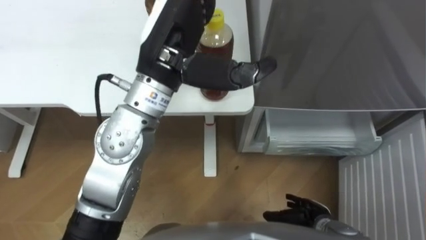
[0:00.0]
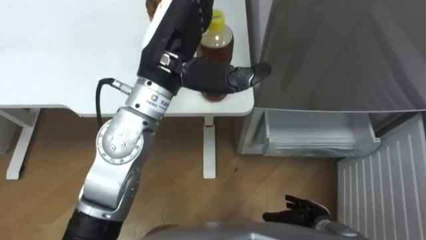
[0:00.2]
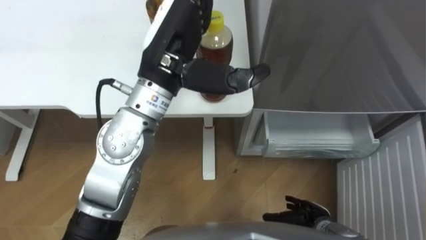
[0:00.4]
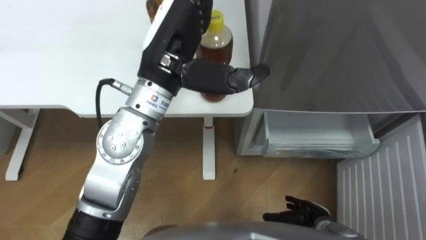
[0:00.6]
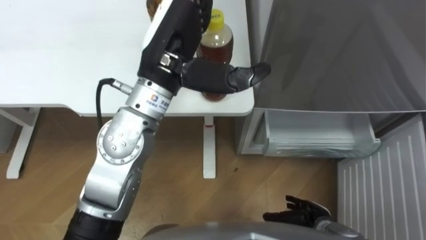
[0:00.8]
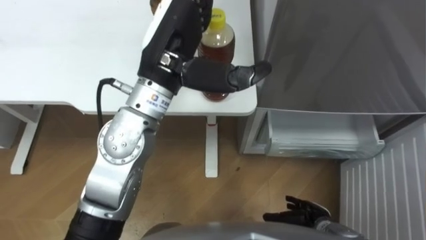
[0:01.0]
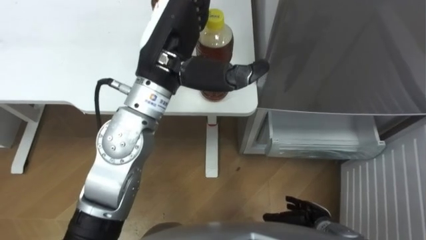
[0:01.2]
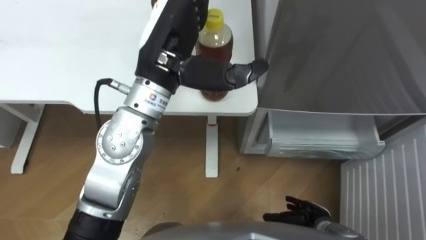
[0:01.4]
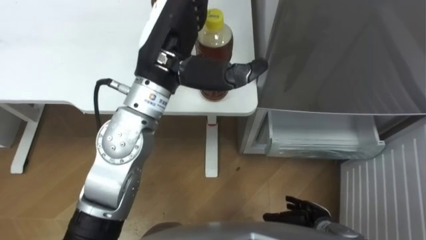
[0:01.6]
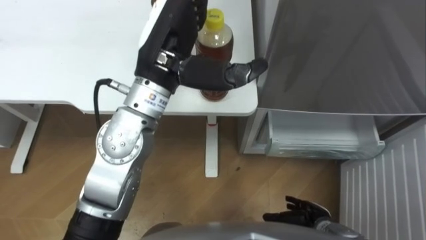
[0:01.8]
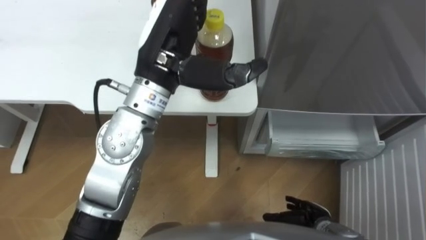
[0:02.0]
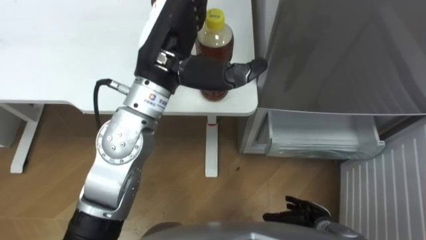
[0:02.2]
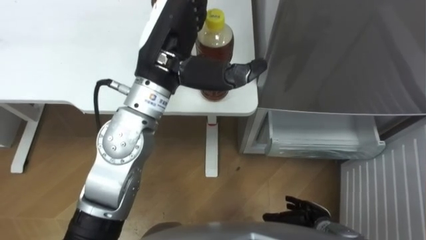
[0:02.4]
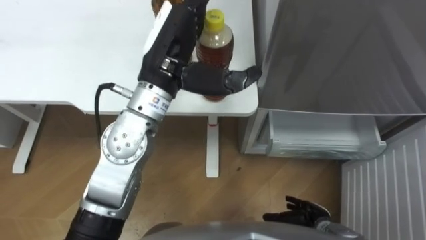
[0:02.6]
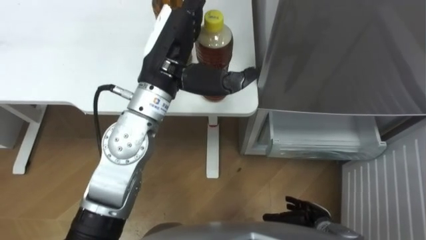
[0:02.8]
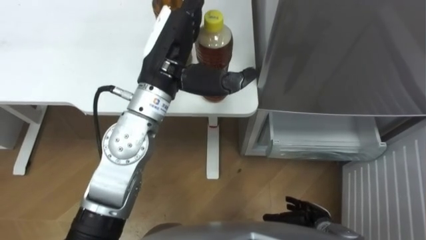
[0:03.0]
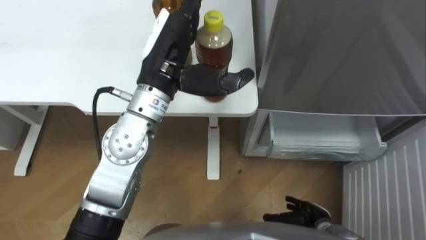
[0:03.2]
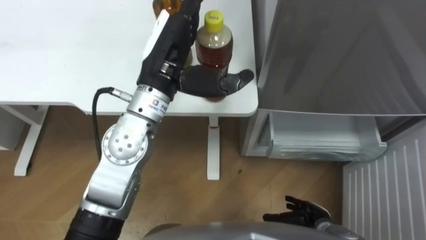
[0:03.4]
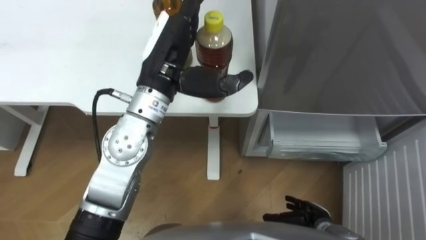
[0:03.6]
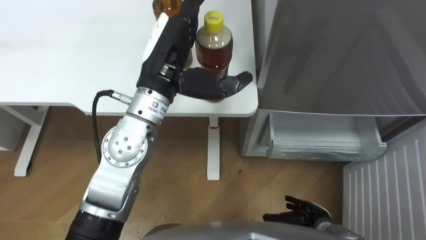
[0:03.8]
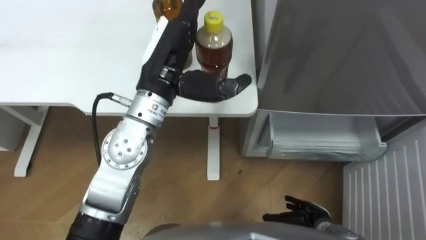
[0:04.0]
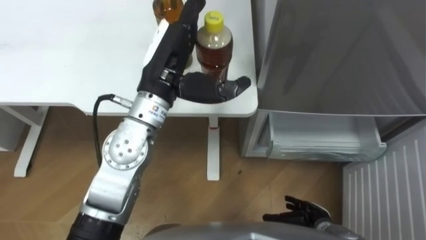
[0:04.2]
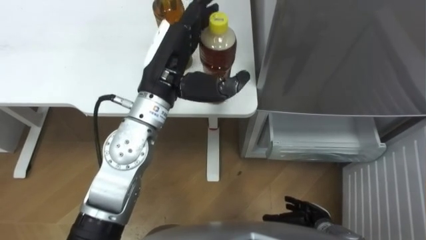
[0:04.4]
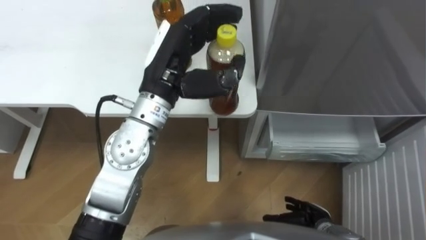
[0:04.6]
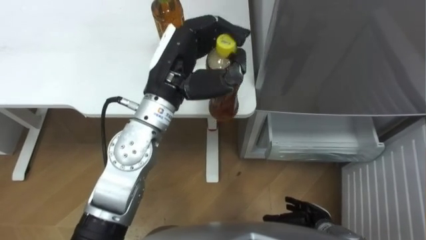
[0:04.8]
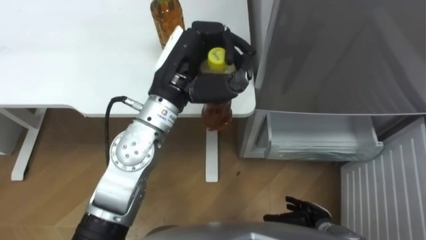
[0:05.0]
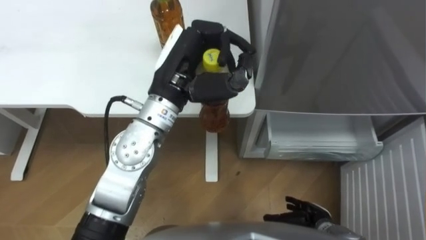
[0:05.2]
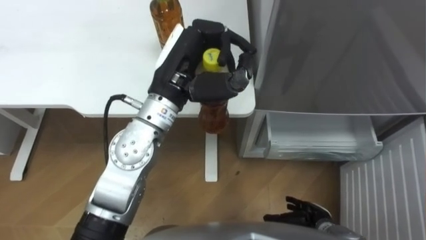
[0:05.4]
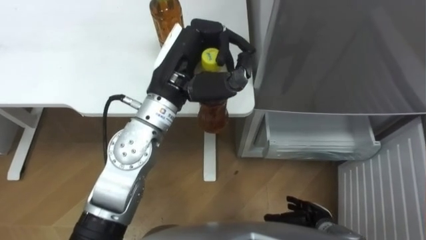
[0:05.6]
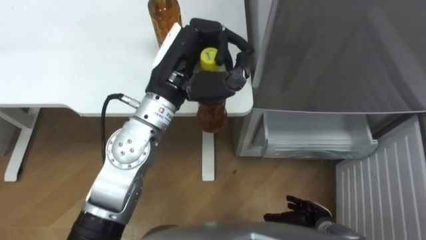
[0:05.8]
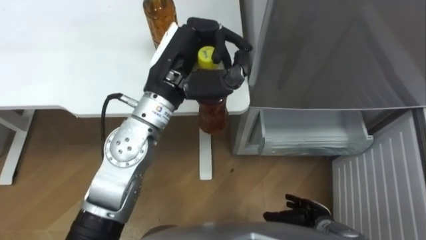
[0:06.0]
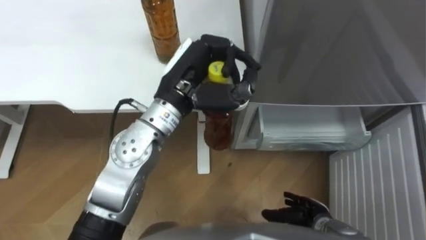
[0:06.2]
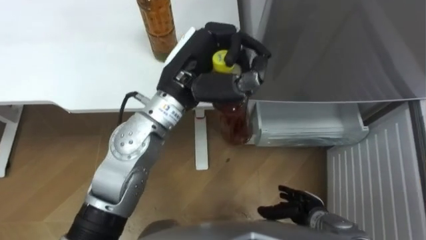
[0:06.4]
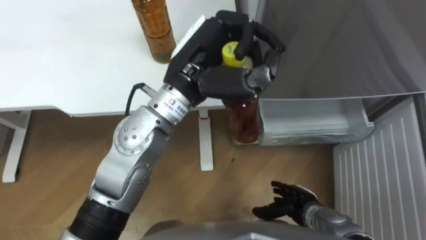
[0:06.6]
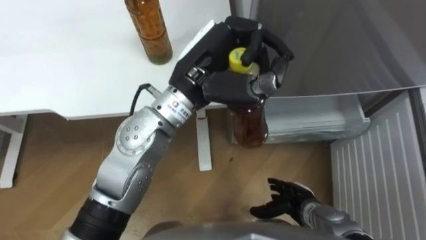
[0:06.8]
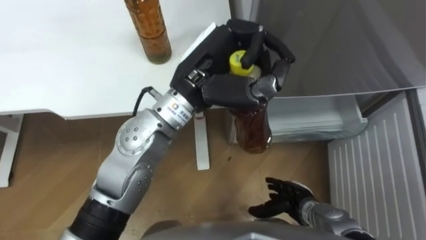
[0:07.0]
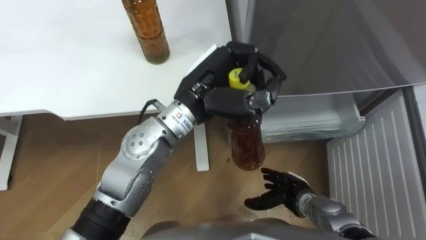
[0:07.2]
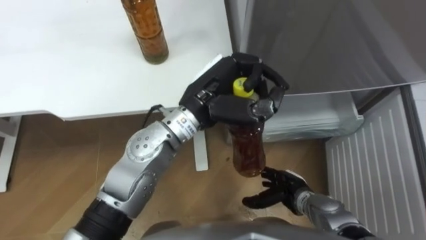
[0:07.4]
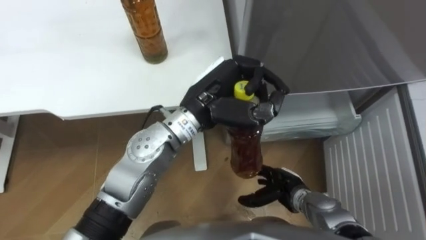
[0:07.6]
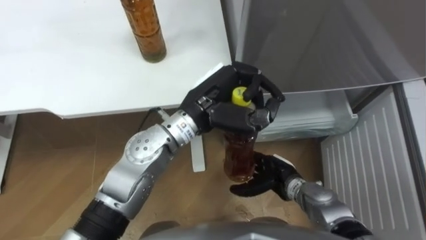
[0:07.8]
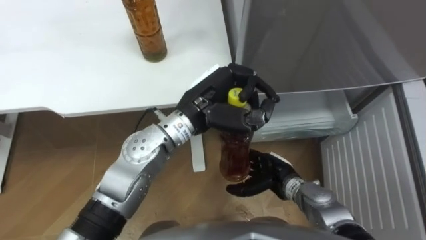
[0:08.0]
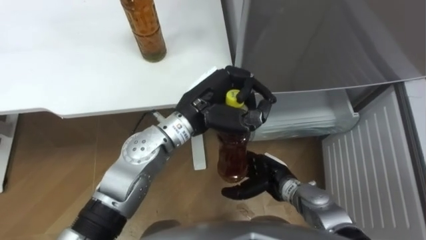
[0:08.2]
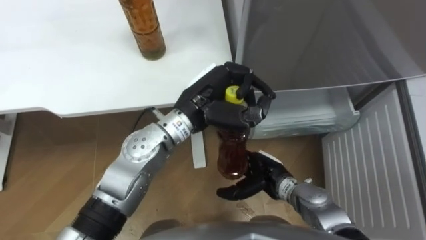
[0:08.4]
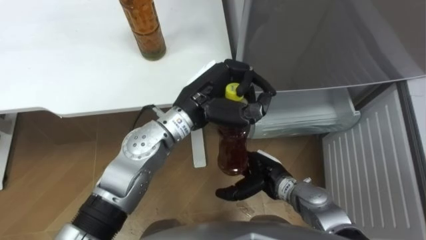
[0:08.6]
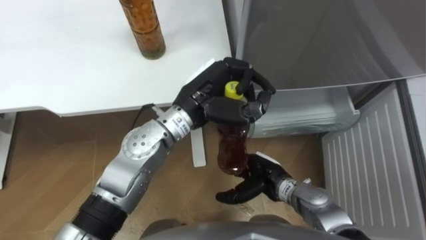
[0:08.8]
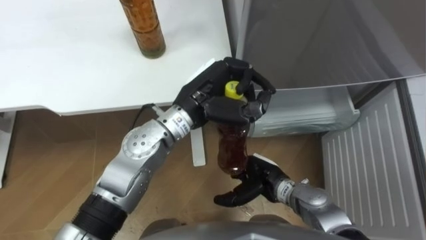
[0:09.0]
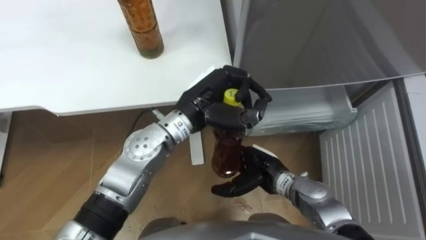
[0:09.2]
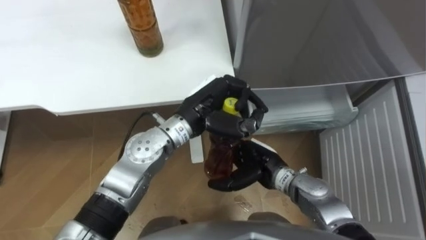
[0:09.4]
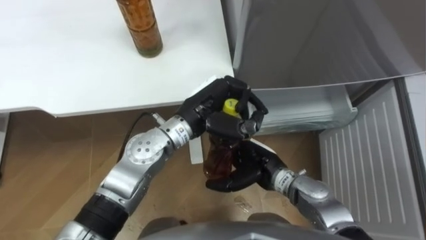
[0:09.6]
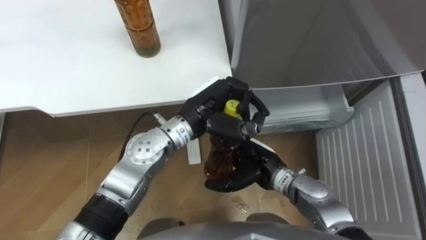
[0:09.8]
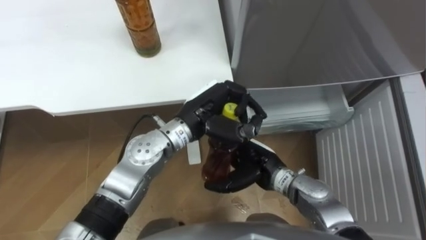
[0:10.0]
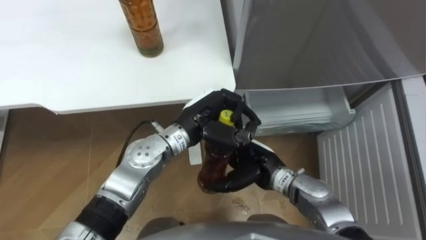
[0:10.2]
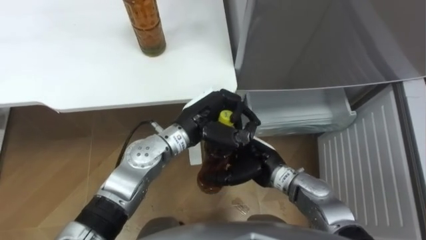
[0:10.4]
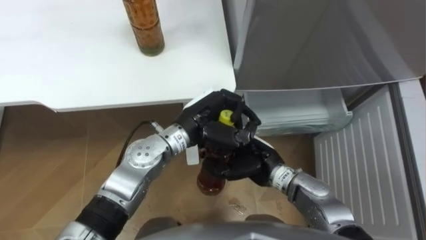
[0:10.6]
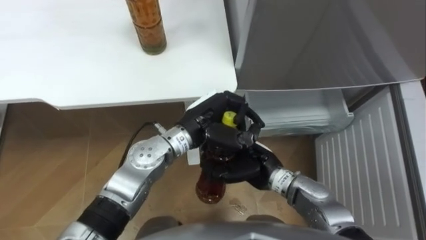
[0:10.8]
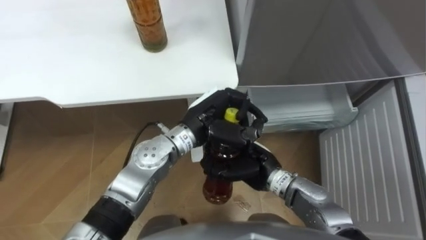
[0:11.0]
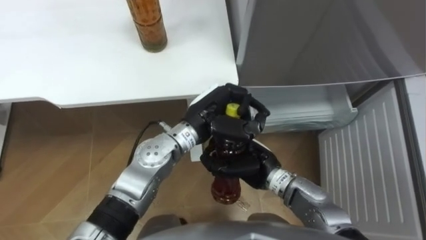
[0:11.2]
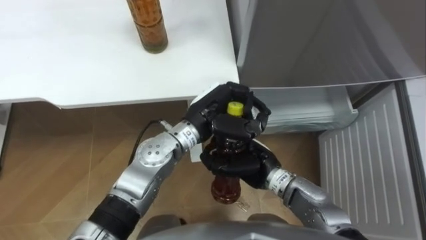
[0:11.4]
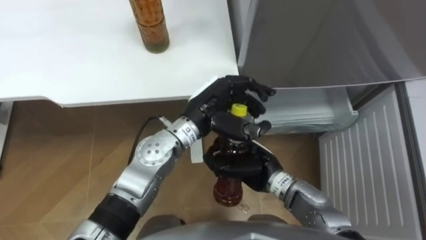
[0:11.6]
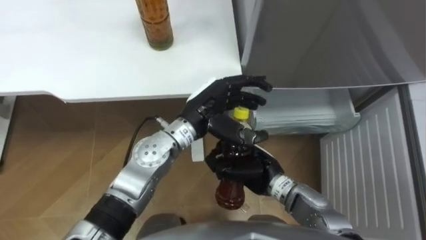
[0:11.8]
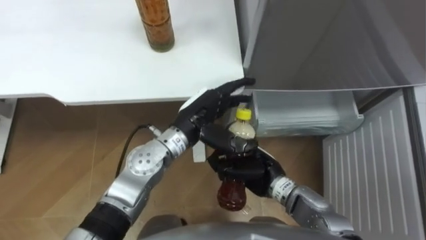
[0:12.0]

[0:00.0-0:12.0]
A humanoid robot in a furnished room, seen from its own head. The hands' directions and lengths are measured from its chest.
Task of the whole recording: Place the drink on the table on the bottom shelf of the refrigerator, then close the drawer and the refrigerator door.
0:00.0 to 0:03.0: The hands stay close to where they were, moving slightly.
0:03.0 to 0:04.4: The hands stay close to where they were, moving slightly.
0:04.4 to 0:06.0: The left hand closes.
0:06.0 to 0:07.6: The right hand travels forward and to the left by approximately 10 cm; the left hand is displaced to the right by about 5 cm.
0:07.6 to 0:09.0: The right hand shifts some 5 cm to the left.
0:09.0 to 0:10.4: The right hand moves some 5 cm; the left hand heads downward, covering approximately 5 cm.
0:10.4 to 0:12.0: The left hand opens. Meanwhile the right hand closes up.

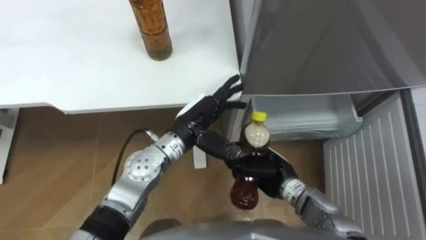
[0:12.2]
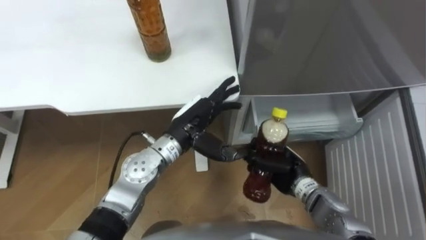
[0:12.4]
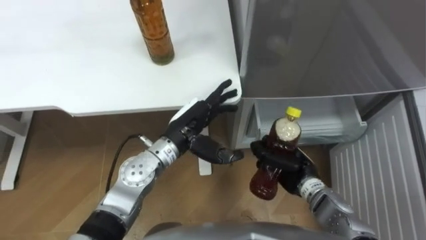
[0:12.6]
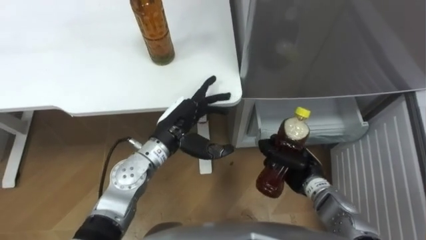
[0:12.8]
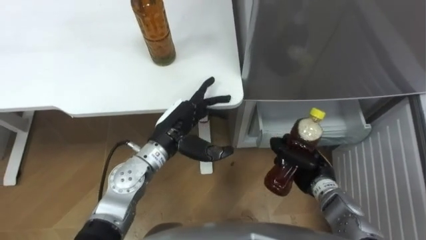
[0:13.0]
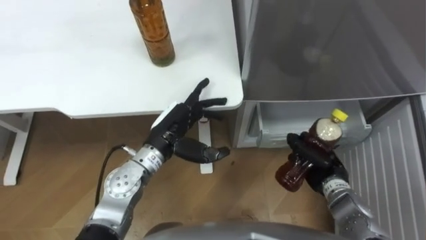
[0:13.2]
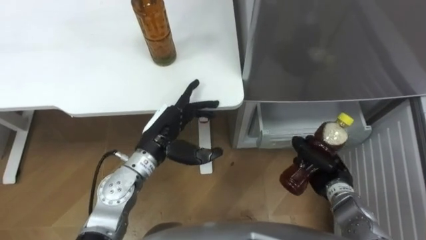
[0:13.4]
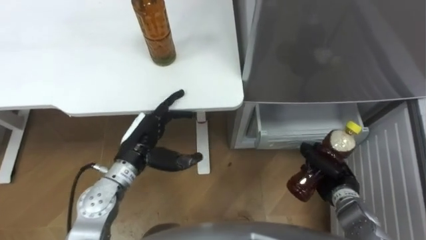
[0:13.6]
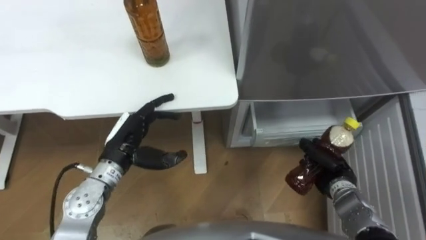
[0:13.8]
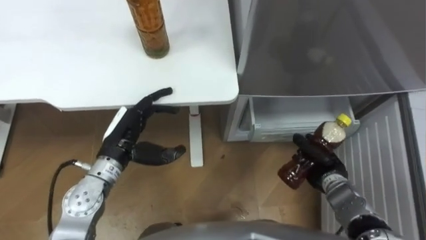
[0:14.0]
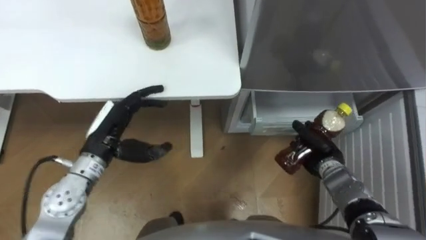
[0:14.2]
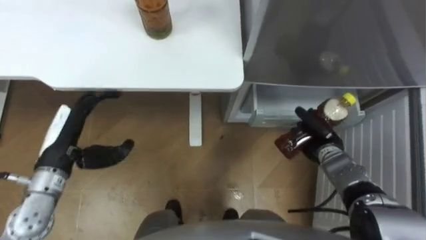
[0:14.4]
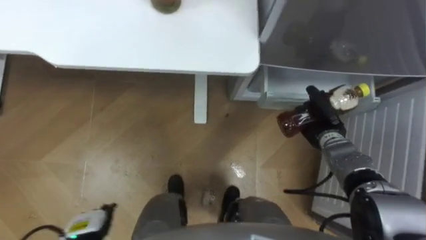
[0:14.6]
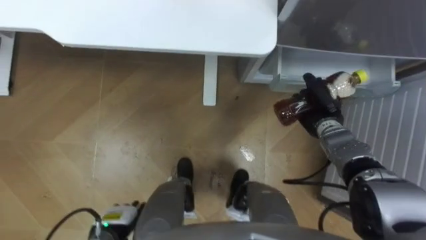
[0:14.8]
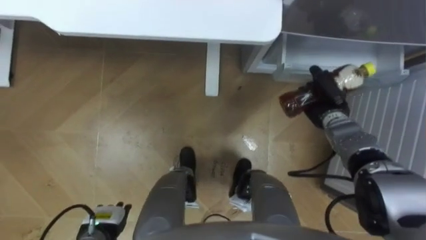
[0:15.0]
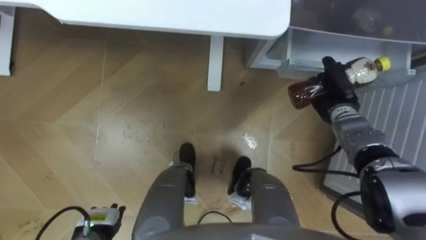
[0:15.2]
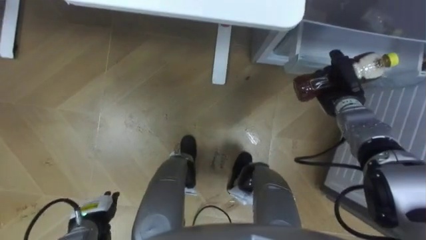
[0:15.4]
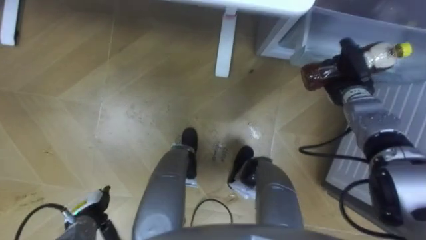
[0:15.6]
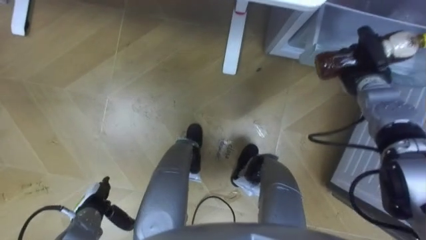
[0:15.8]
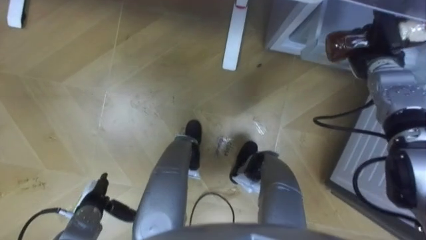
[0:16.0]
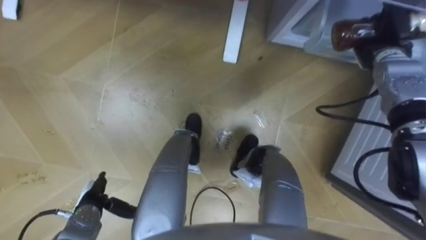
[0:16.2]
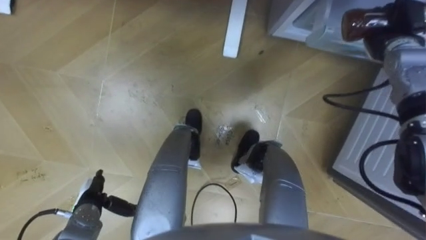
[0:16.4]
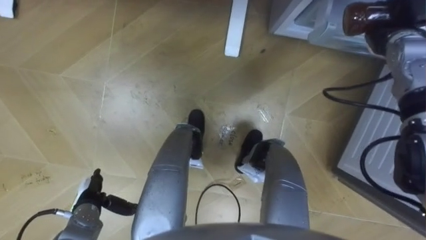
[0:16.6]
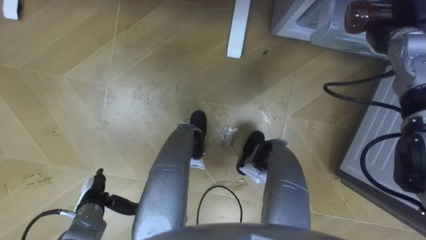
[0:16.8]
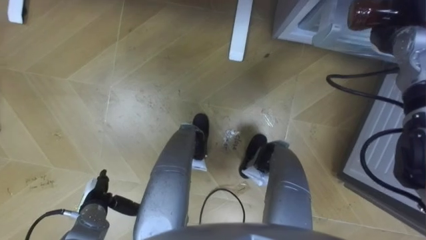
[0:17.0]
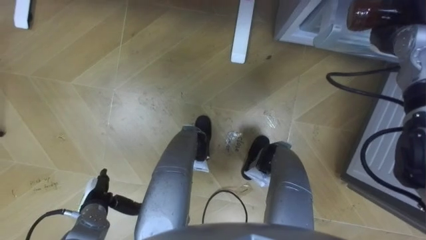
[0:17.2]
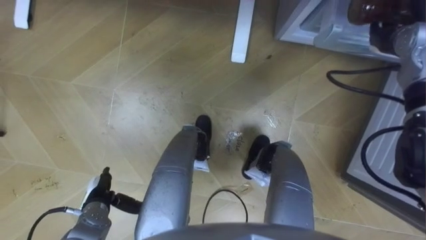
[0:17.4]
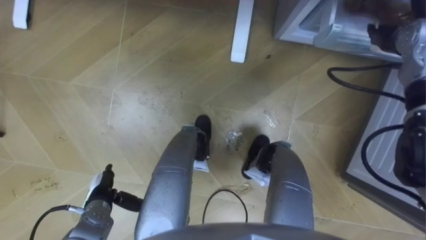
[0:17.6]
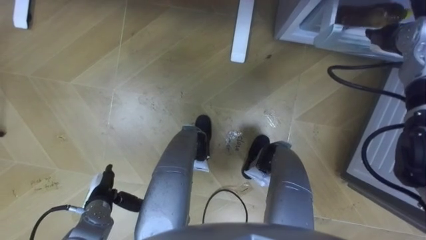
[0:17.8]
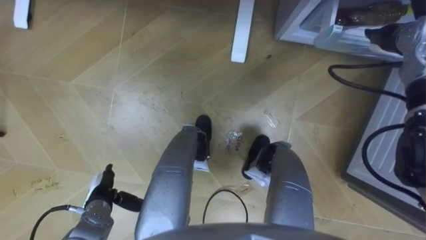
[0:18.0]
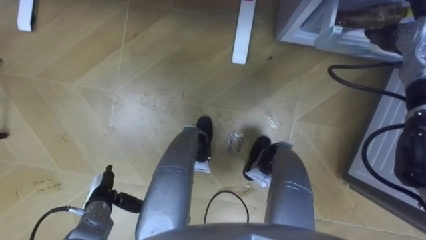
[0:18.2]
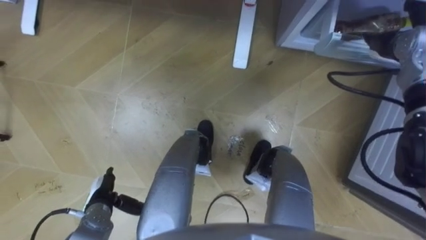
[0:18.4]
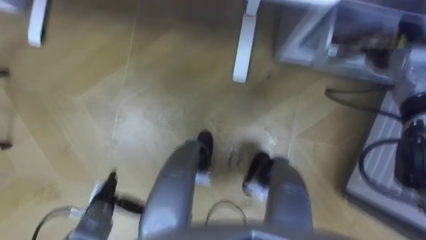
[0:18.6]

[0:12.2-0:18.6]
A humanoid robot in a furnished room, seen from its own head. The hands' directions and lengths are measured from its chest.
Task of the whole recording: Place the drink on the table on the bottom shelf of the refrigerator, then close the drawer and the refrigerator door.
0:12.2 to 0:13.8: The left hand travels to the left by about 15 cm, while the right hand heads to the right, covering approximately 15 cm.
0:13.8 to 0:15.4: The right hand shifts approximately 20 cm forward and upward, while the left hand is displaced backward, downward and to the left by about 20 cm.
0:15.4 to 0:17.0: The right hand heads upward, to the right and forward, covering approximately 15 cm.
0:17.0 to 0:18.6: The right hand opens up.
